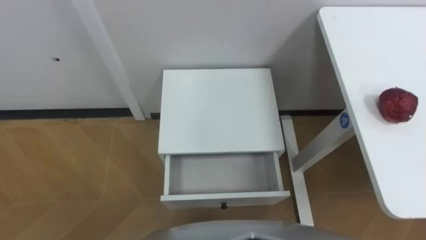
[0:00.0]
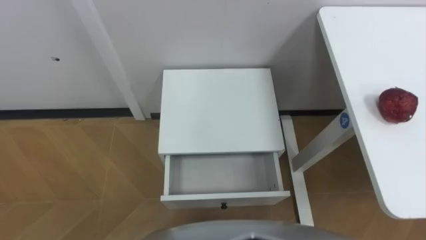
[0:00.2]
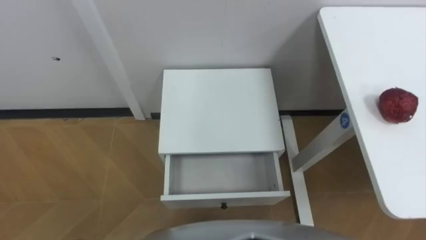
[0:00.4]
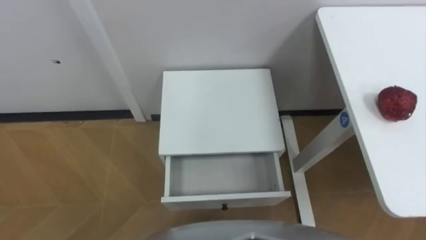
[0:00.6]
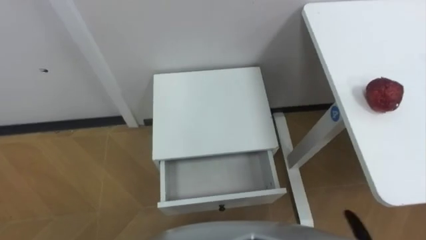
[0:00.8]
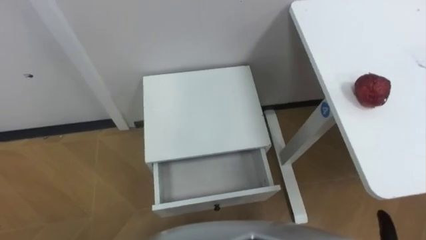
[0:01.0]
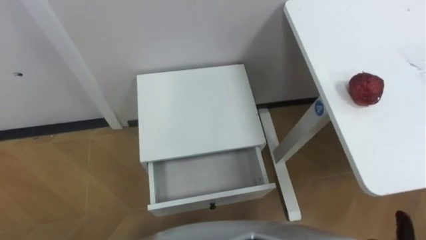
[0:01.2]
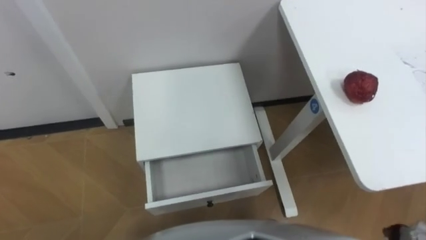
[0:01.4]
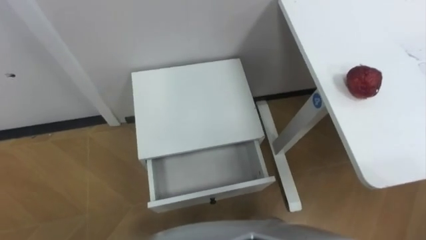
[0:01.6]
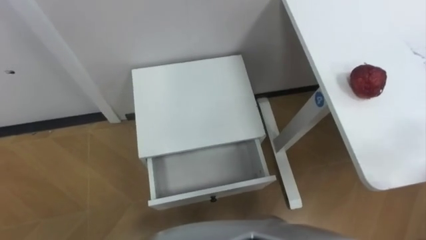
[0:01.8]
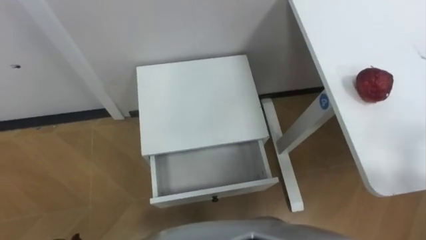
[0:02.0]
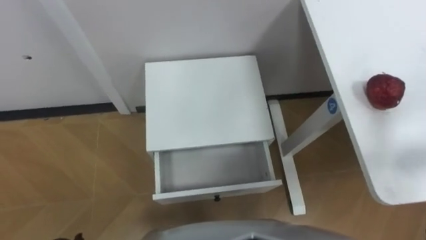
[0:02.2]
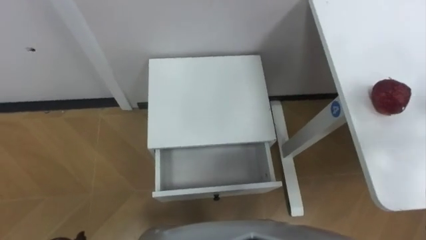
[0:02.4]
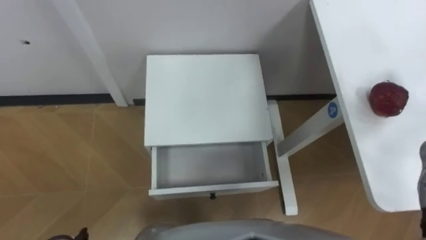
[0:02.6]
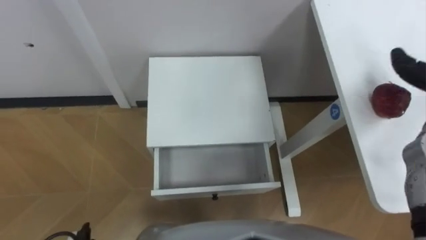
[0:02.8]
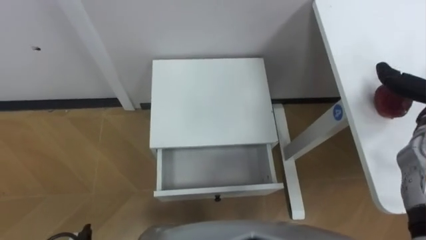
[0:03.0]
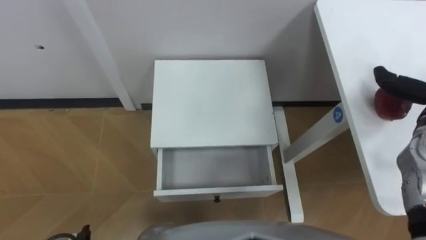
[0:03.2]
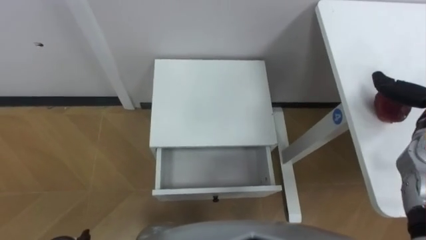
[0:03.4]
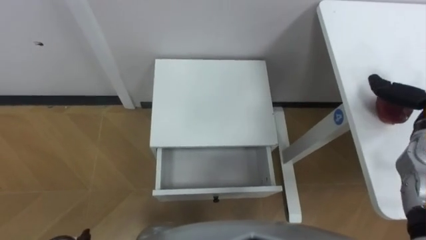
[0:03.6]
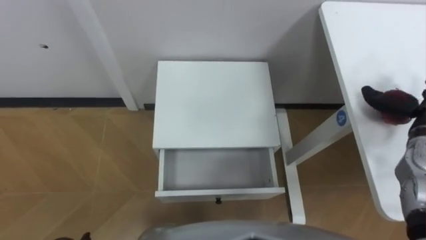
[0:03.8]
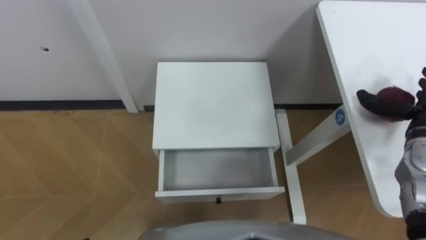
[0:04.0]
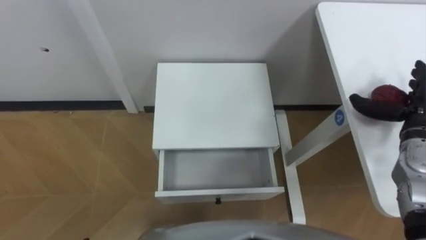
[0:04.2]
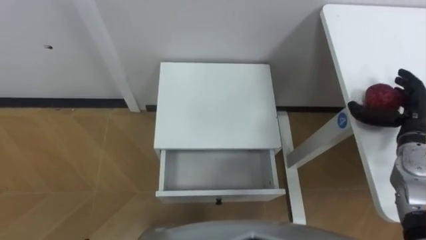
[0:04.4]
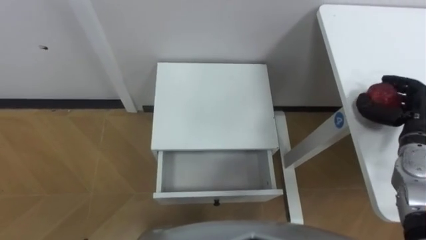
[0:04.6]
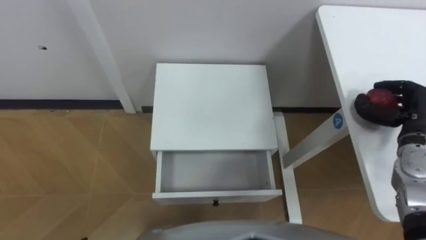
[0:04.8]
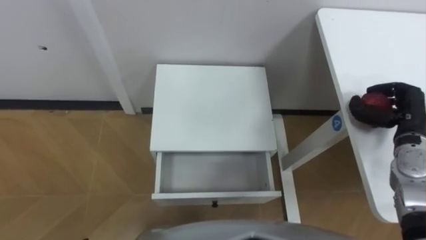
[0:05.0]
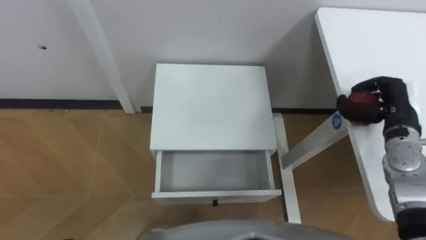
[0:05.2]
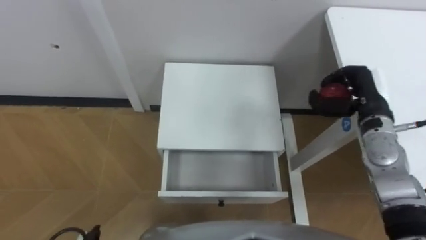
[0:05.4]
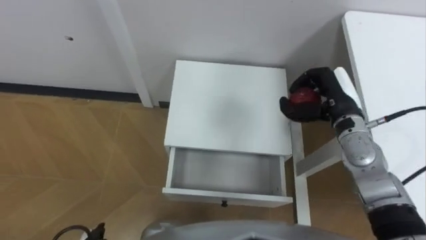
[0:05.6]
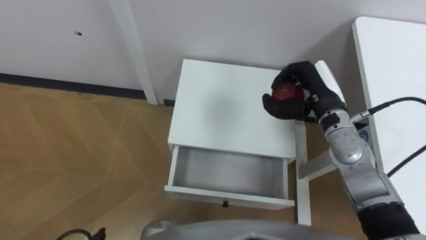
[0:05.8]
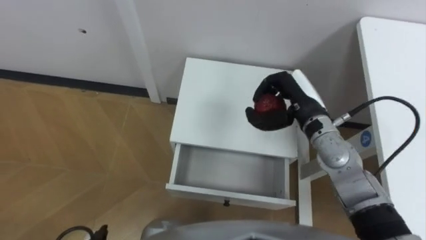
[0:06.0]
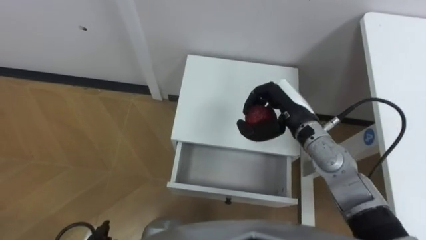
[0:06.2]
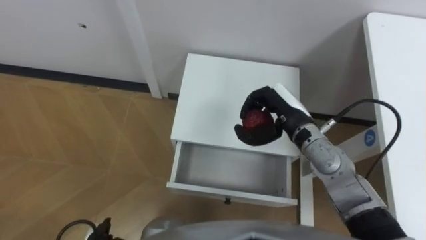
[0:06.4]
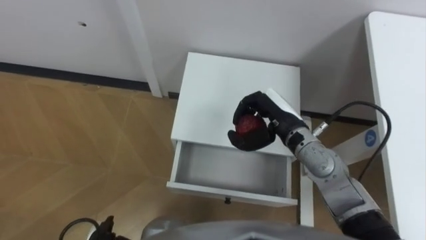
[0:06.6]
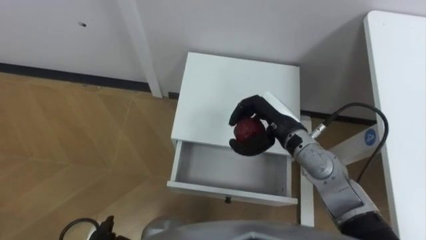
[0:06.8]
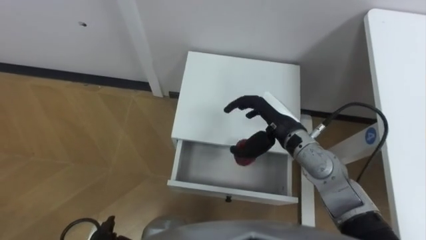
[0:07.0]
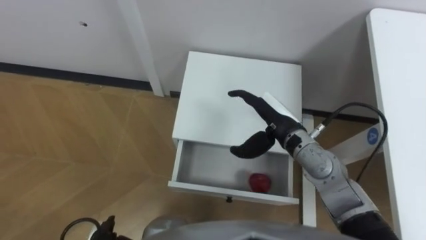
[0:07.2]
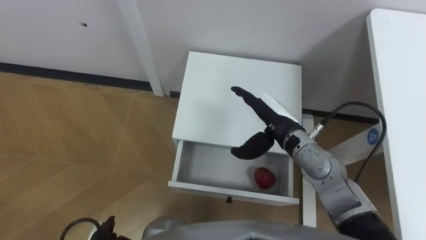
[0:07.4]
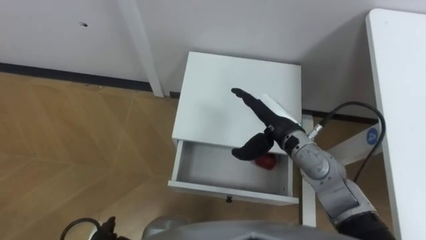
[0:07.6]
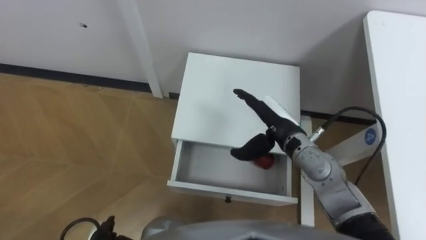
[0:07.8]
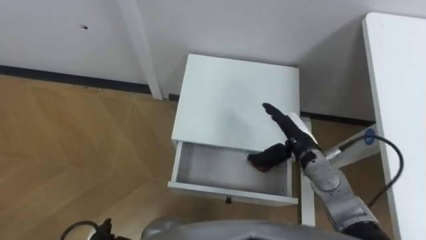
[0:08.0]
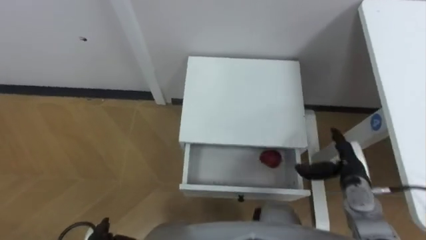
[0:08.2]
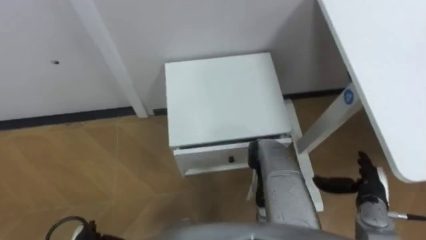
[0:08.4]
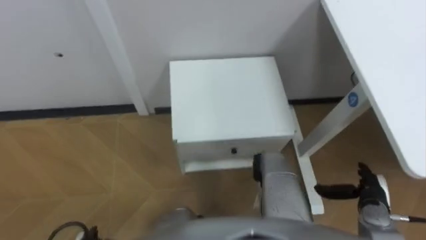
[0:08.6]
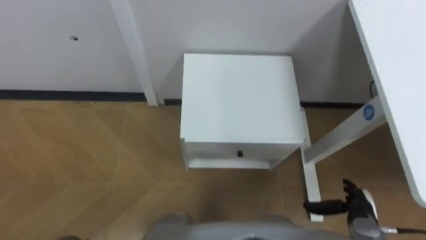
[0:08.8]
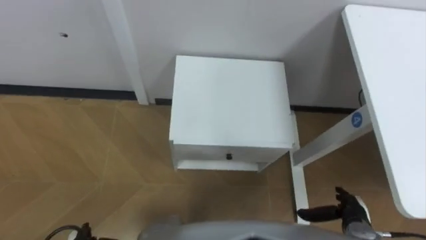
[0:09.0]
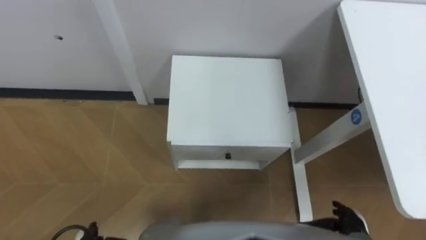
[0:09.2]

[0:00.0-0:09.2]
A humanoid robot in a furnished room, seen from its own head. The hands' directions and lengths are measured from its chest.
Task of the whole recording: Pick up the apple from the table, put it in the drawer, and close the drawer with leg.
0:04.6 to 0:06.2: The right hand shifts about 25 cm to the left.
0:06.2 to 0:07.6: The right hand opens its fingers.
0:07.6 to 0:09.2: The right hand moves backward, to the right and downward, approximately 30 cm.

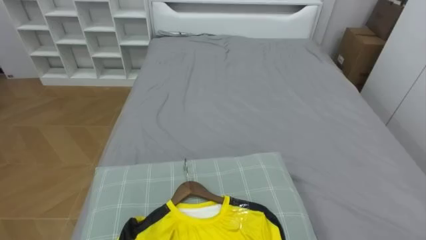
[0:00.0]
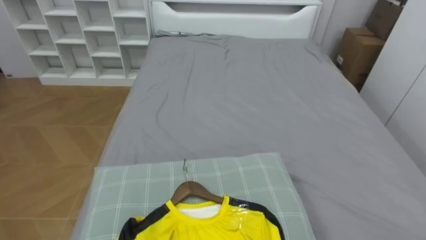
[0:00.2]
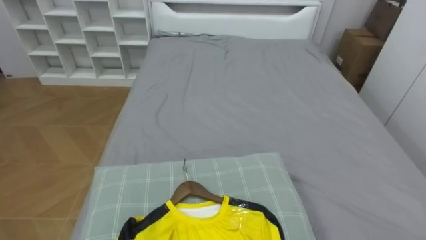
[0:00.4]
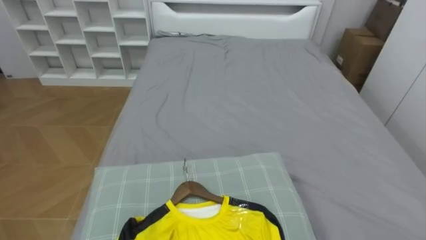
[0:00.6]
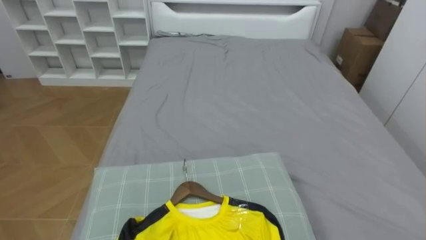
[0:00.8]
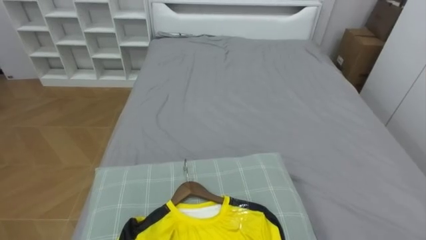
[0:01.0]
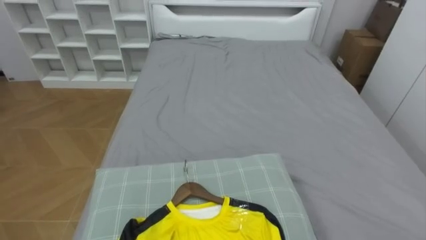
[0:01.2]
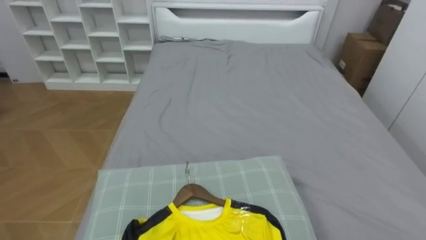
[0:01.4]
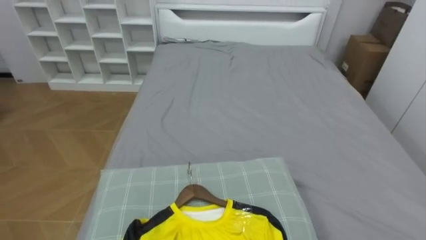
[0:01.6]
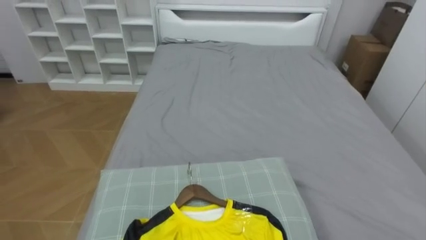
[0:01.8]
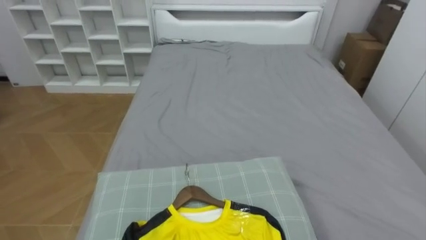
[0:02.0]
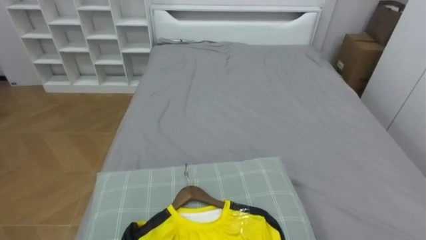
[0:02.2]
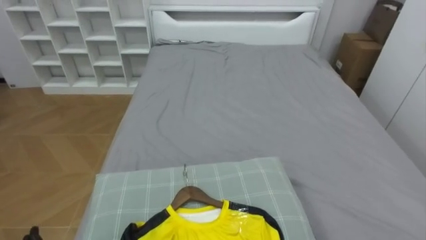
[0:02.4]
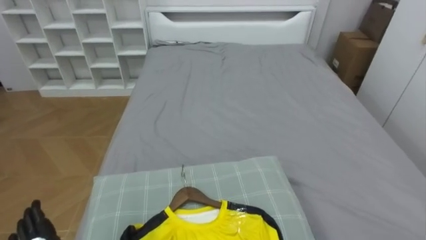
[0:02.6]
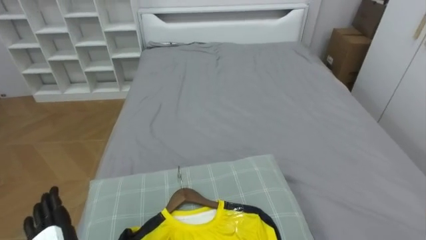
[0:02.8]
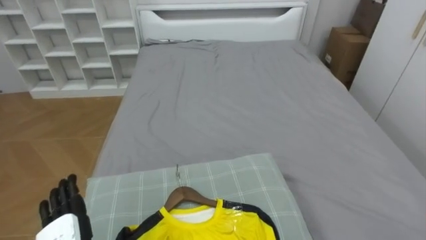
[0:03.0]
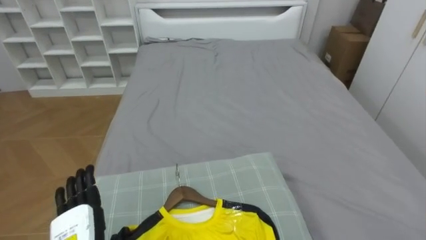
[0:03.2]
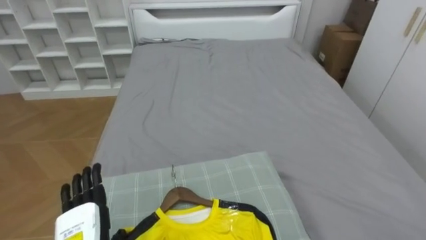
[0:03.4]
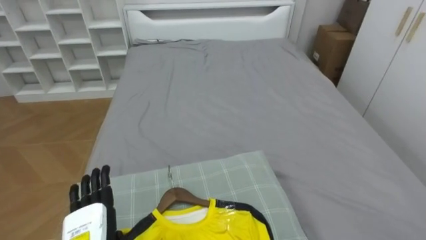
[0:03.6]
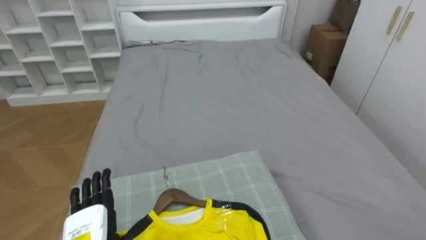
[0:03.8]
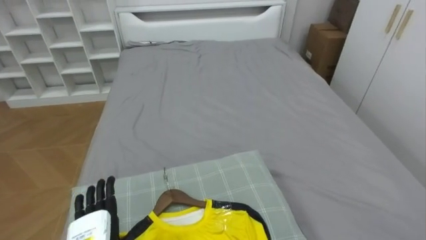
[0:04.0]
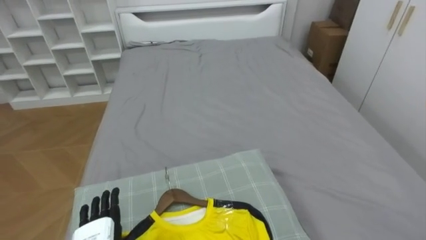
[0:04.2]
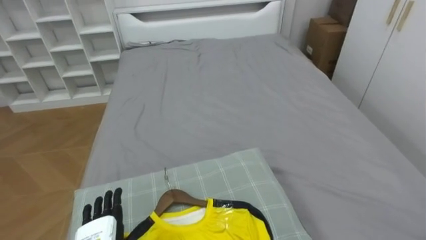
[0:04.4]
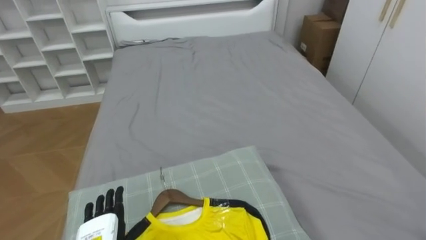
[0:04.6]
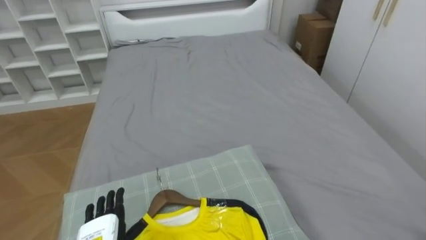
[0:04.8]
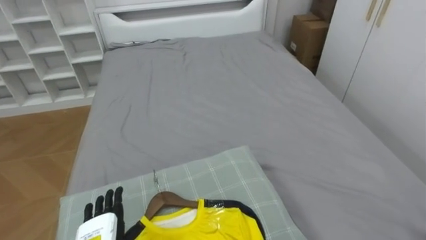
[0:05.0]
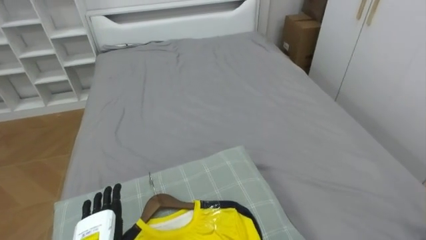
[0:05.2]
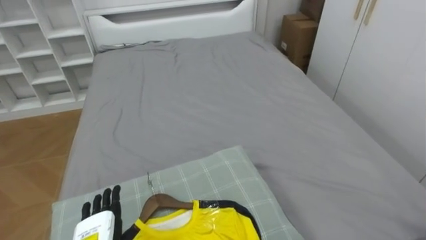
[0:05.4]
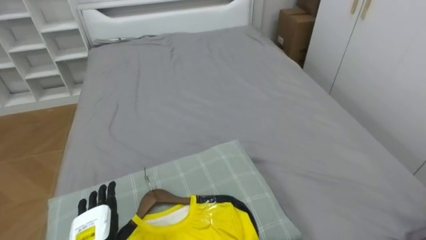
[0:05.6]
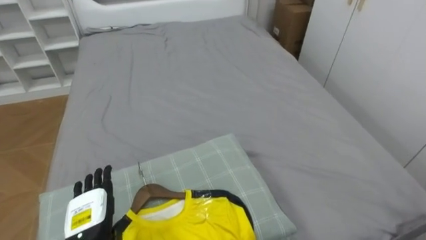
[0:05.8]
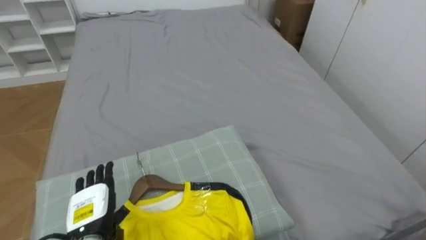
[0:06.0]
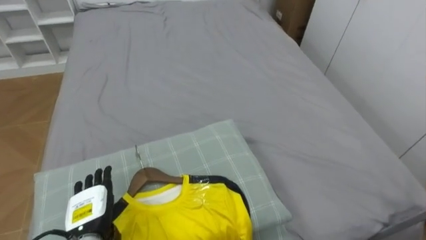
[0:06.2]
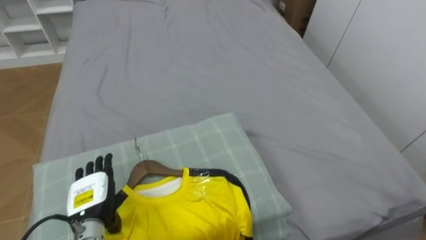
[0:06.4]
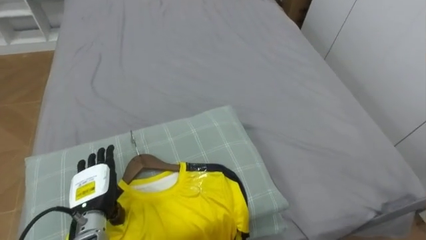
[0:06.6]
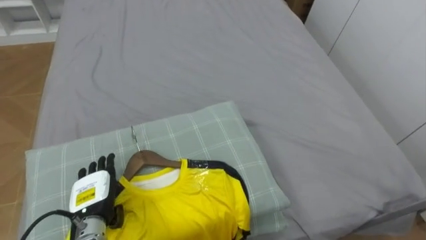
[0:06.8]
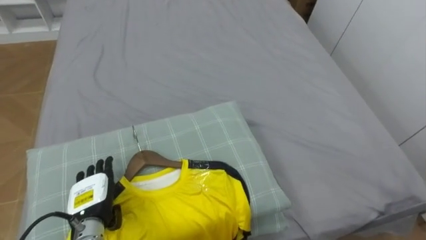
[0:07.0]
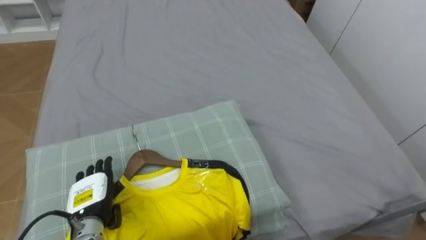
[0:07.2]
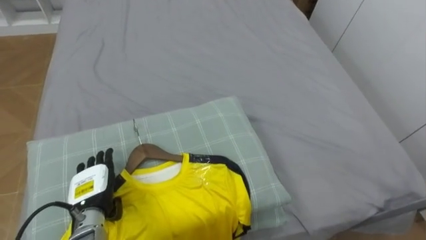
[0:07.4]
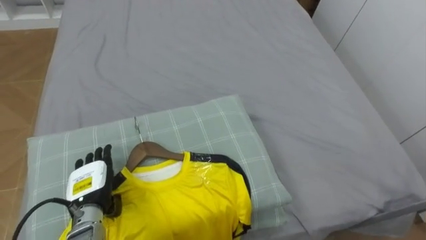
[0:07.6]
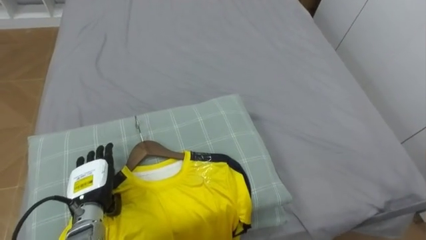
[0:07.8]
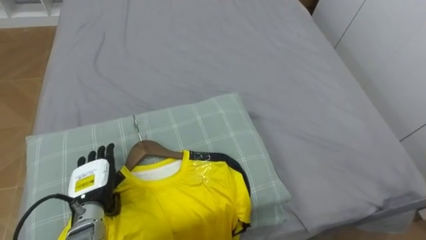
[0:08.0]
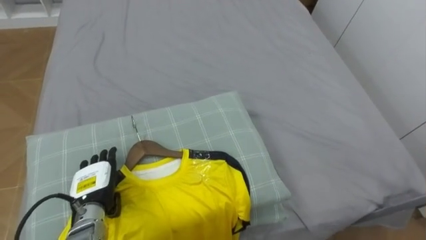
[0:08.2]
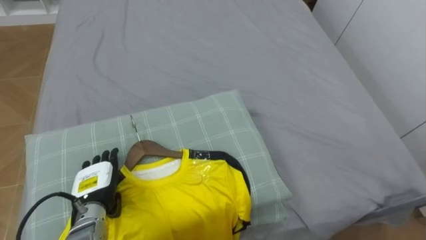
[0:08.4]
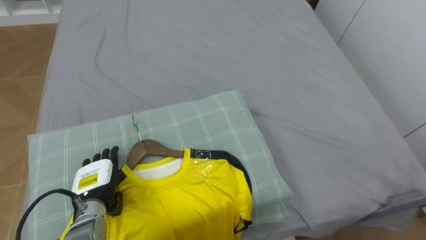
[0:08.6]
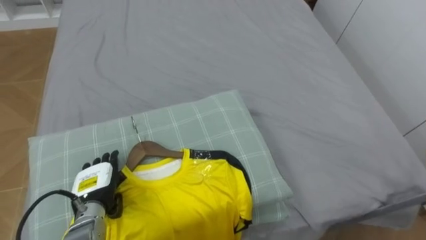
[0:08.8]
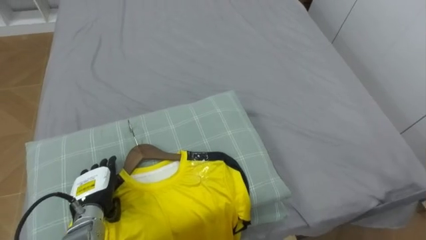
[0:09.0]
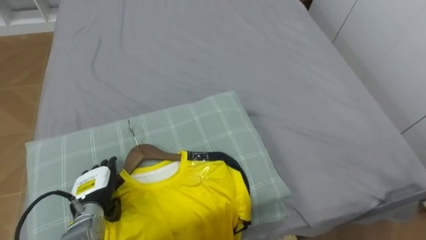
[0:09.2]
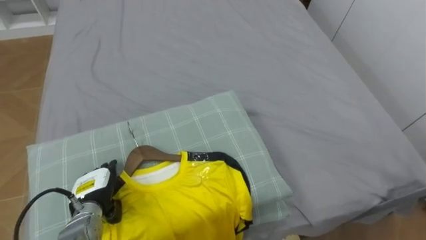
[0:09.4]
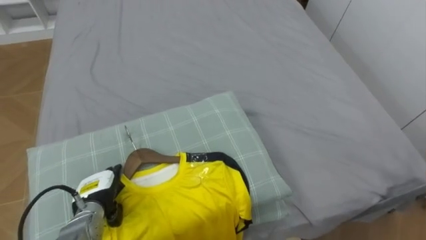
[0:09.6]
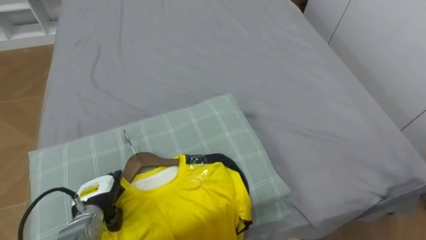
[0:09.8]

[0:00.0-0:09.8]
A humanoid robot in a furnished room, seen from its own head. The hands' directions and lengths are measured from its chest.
Task of the whole recording: Pick up the yellow shirt on the bed and hang it on the clothes rack on the right.
0:05.6 to 0:07.0: The left hand goes about 5 cm forward.
